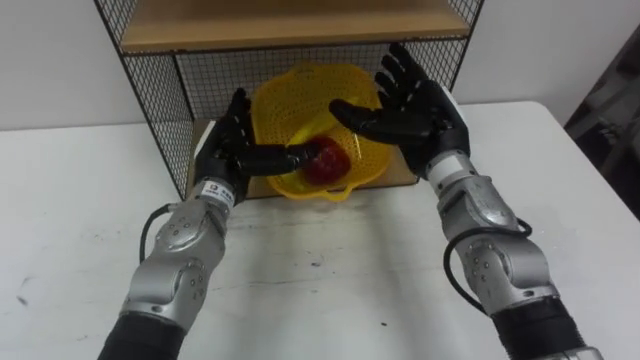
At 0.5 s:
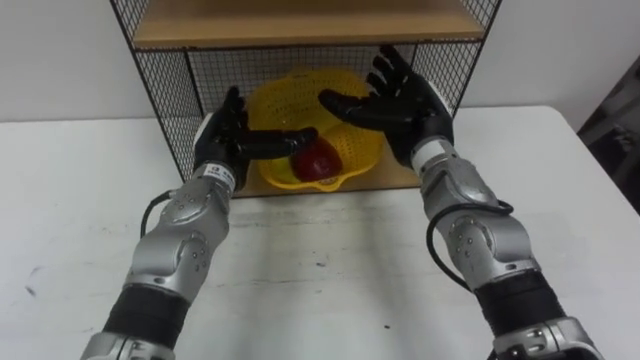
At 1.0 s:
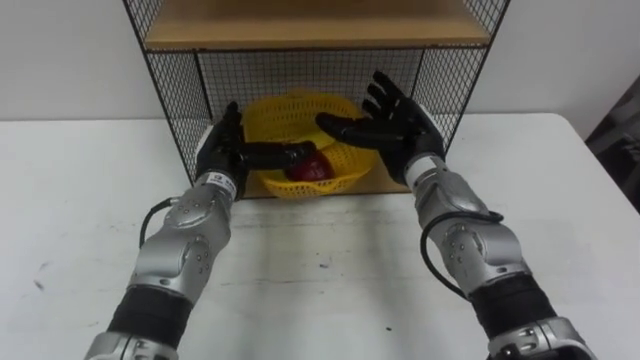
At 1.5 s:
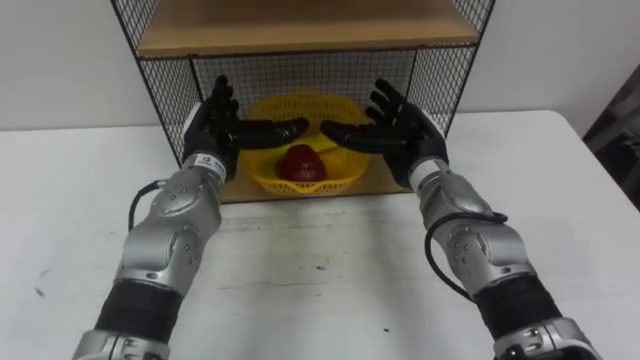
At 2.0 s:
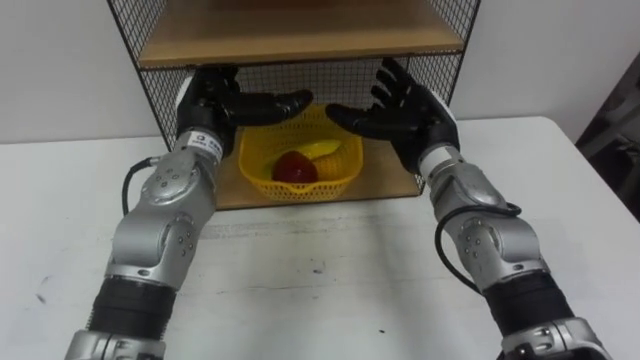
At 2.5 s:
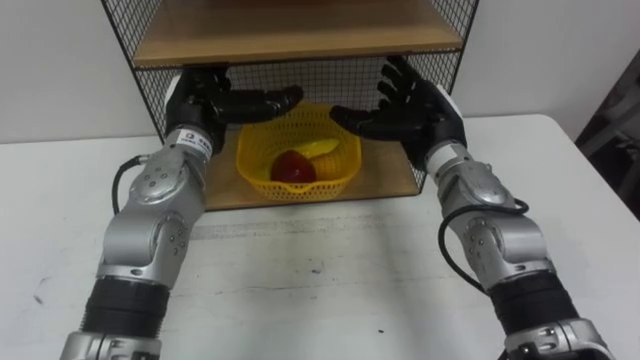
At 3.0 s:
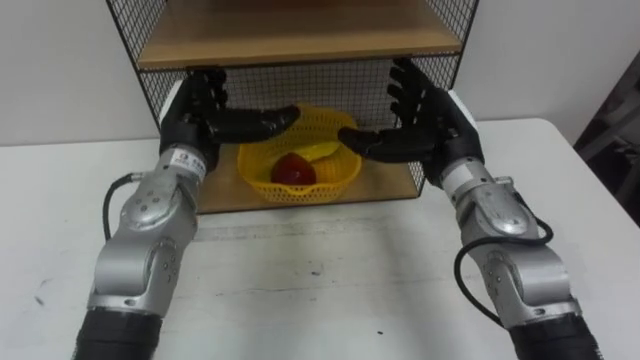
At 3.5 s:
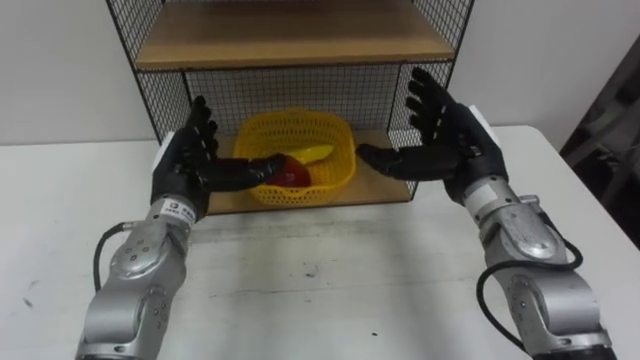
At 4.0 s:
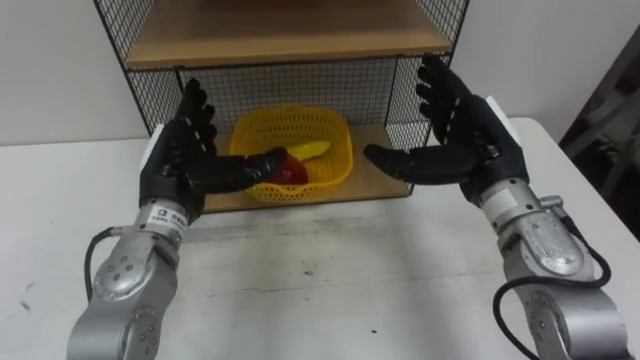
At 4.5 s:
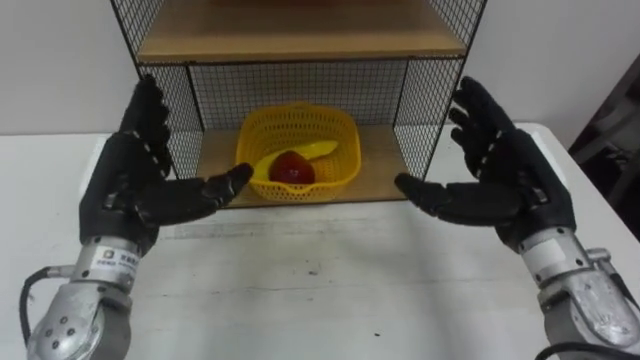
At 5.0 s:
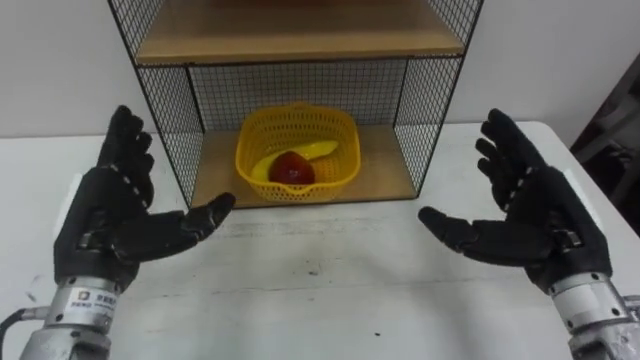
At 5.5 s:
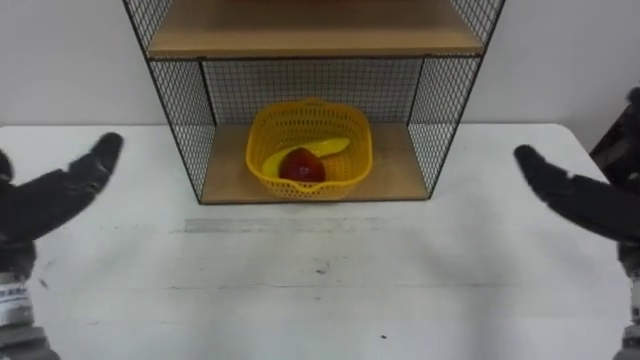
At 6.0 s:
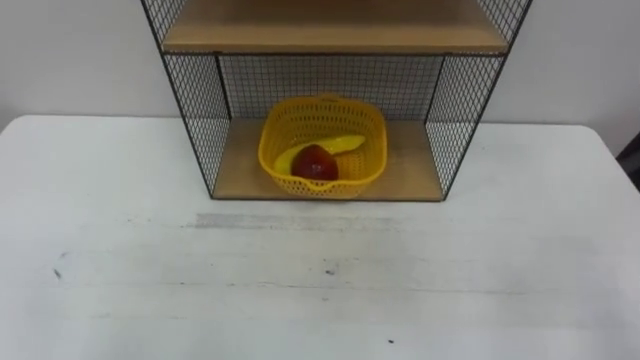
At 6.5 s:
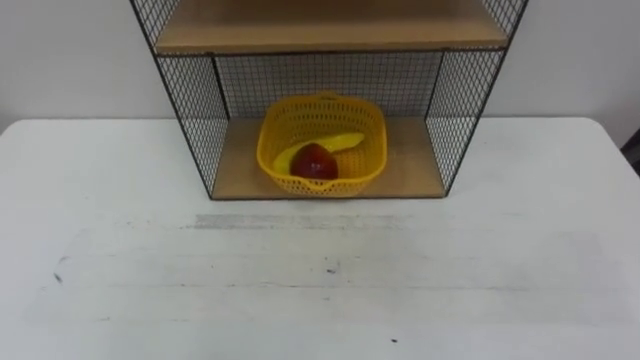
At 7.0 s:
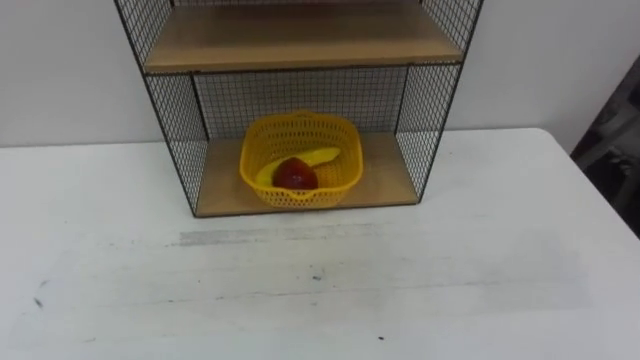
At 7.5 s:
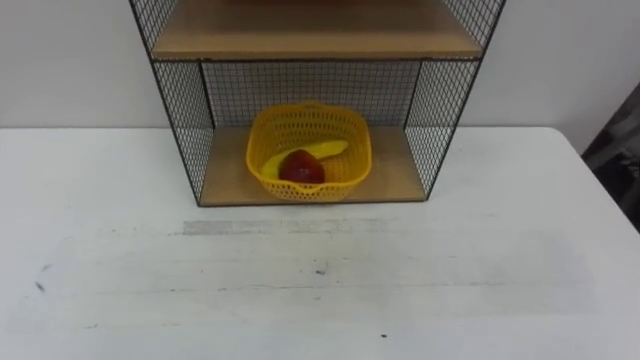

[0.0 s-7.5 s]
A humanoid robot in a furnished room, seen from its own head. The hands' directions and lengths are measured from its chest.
Task of the whole recording: Put the fruit on the table into the basket, then place the basket on the shelf.
0.0 to 2.0 s: The left hand shifts roughly 5 cm upward.
2.0 to 4.0 s: The right hand goes about 10 cm backward and to the right. Meanwhile the left hand heads backward, covering roughly 5 cm.

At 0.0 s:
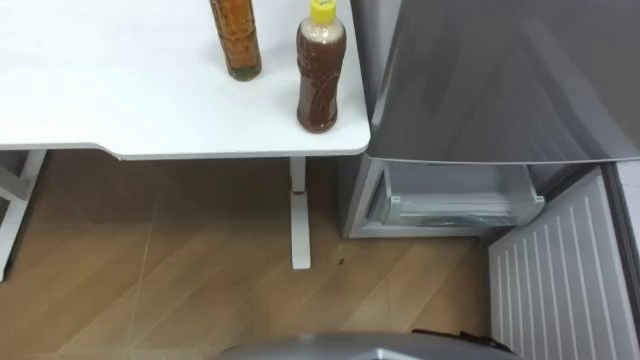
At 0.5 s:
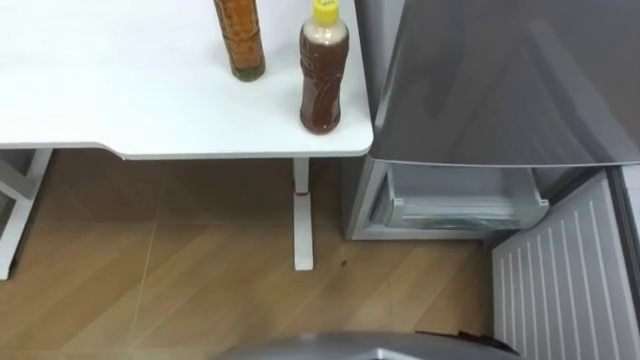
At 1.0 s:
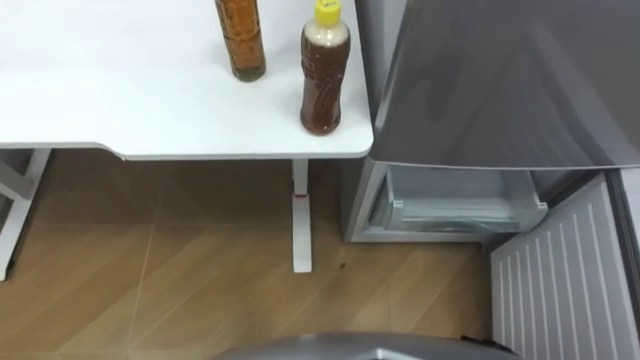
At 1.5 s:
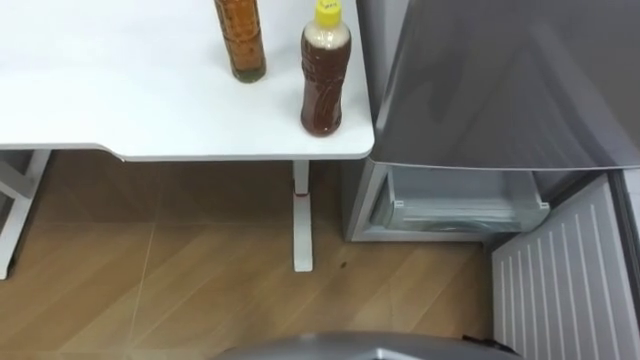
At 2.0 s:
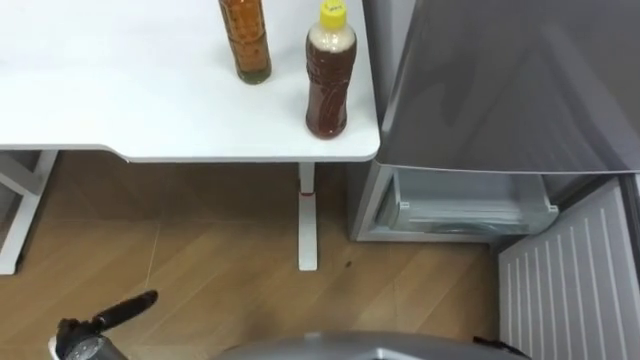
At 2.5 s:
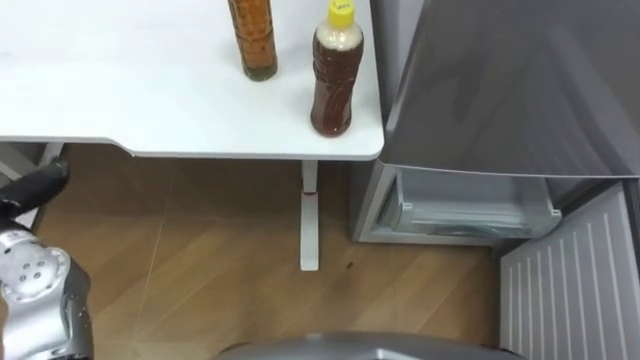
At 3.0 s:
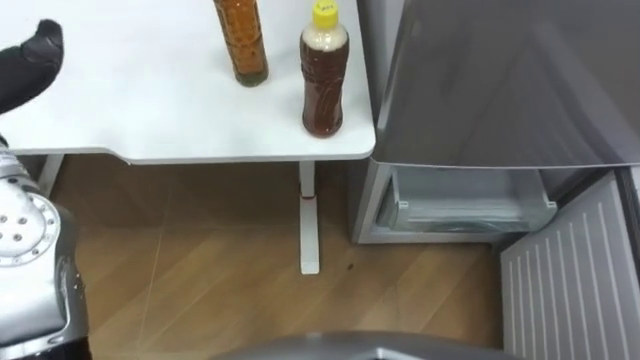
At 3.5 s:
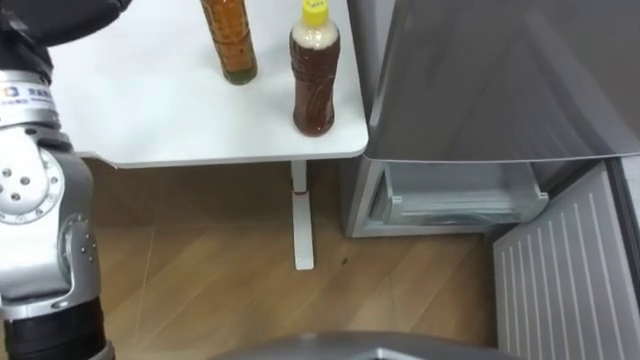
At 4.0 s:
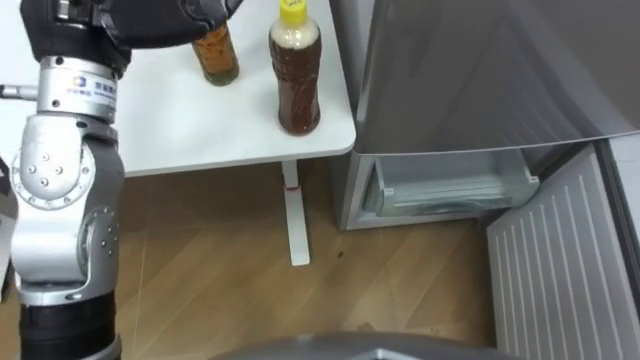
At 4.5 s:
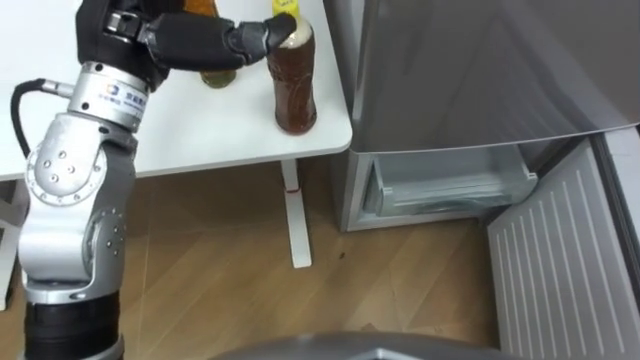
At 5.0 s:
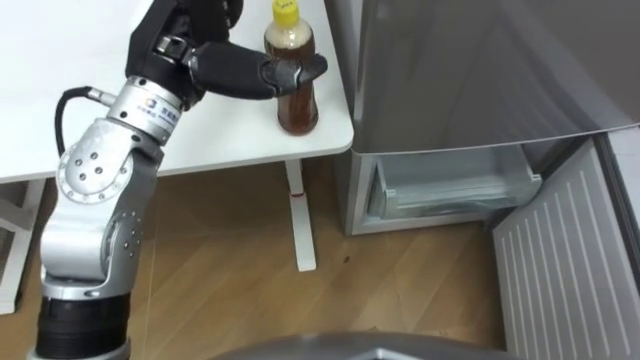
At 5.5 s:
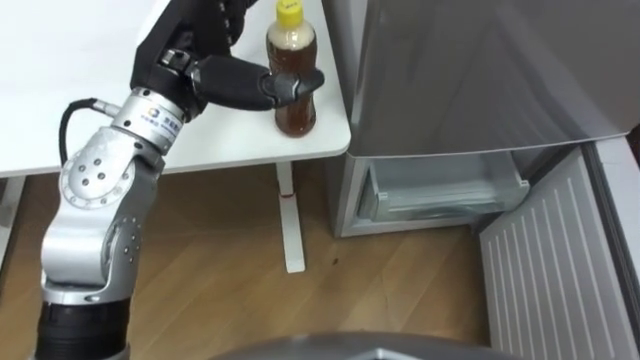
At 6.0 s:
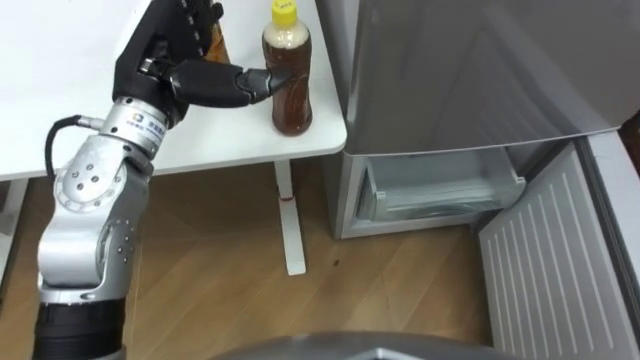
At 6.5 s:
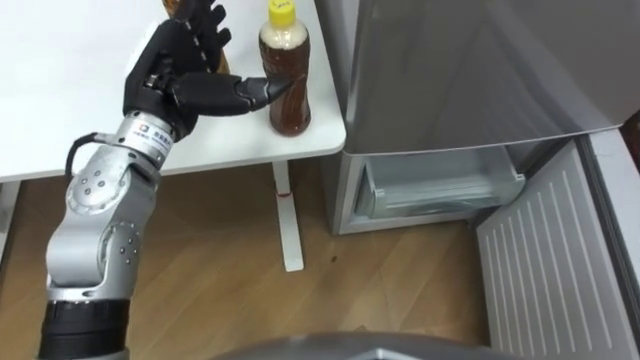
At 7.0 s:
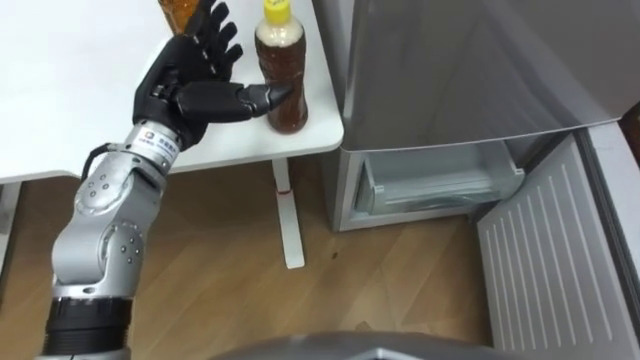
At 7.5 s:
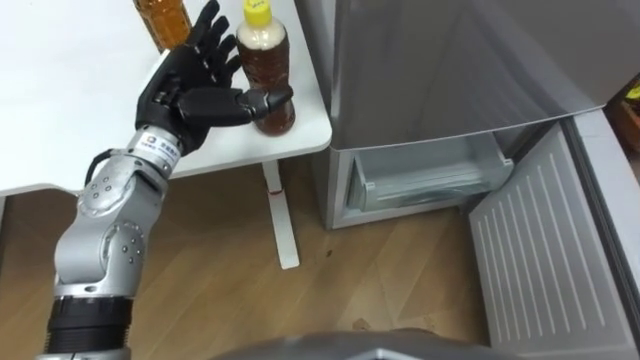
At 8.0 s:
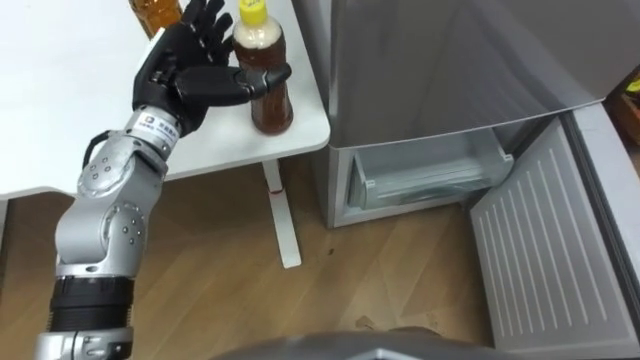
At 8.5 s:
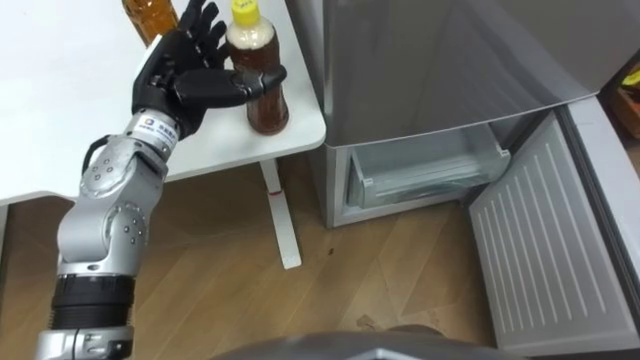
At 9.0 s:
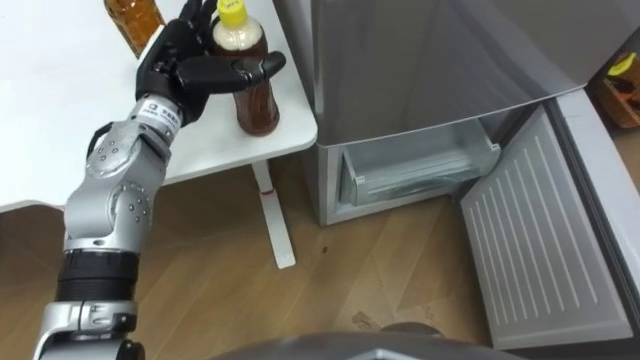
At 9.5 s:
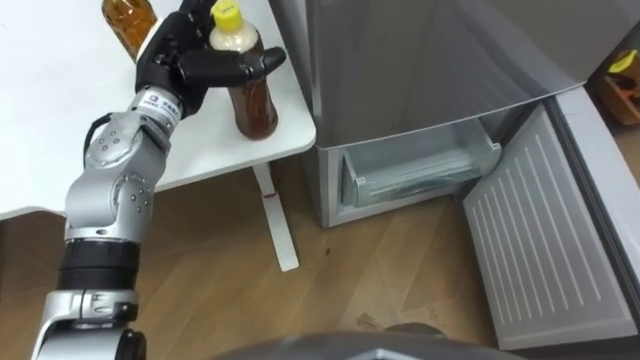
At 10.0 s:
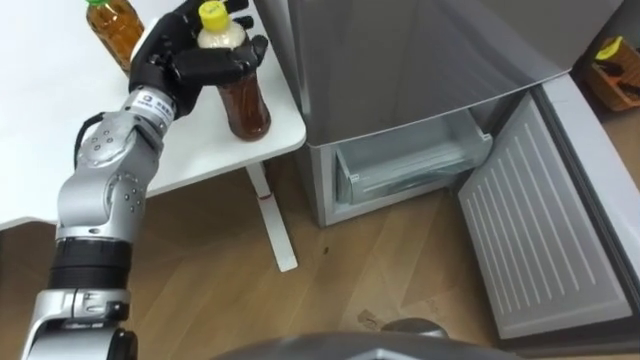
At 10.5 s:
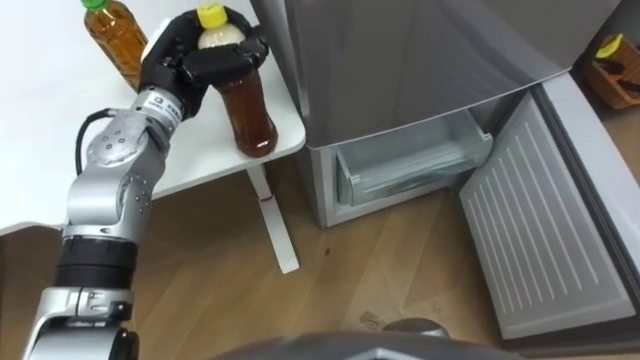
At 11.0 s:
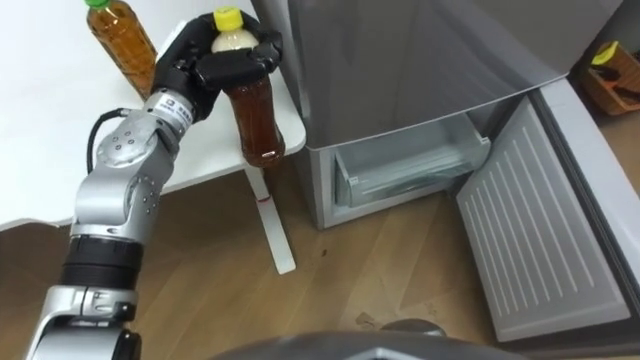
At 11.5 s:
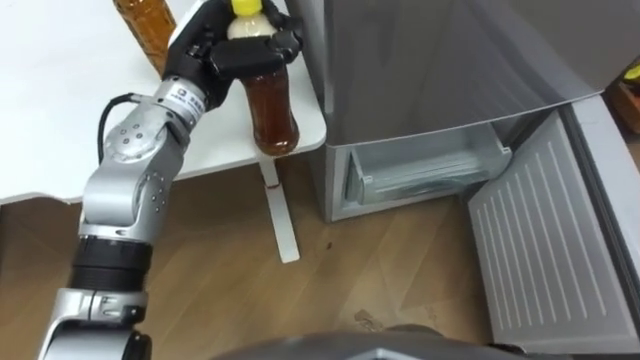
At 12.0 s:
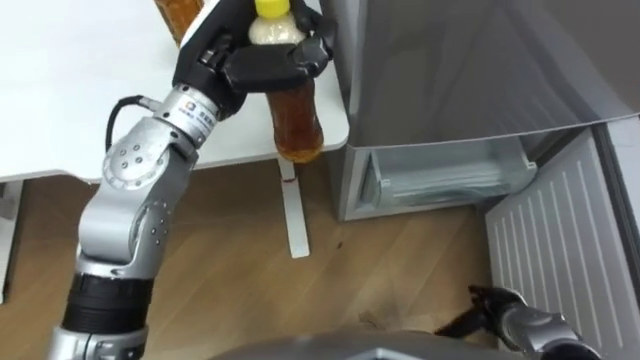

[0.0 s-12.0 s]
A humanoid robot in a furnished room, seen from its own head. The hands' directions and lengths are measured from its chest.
Task of the whole recording: Place the drink on the table on the bottom shelf of the refrigerator, then close the drawer and the refrigerator door.
4.0 to 6.0 s: The left hand travels downward by some 10 cm.
8.0 to 10.0 s: The left hand closes.
10.0 to 12.0 s: The left hand shifts some 10 cm to the right and upward, and closes.
